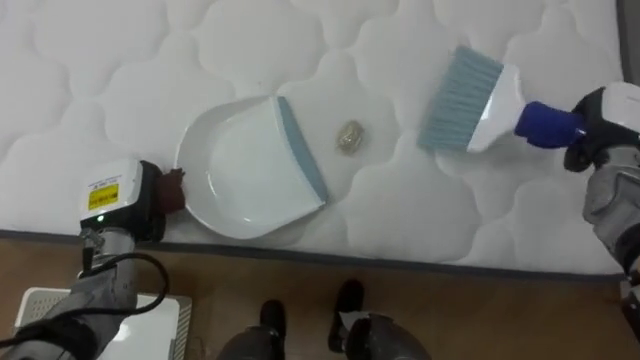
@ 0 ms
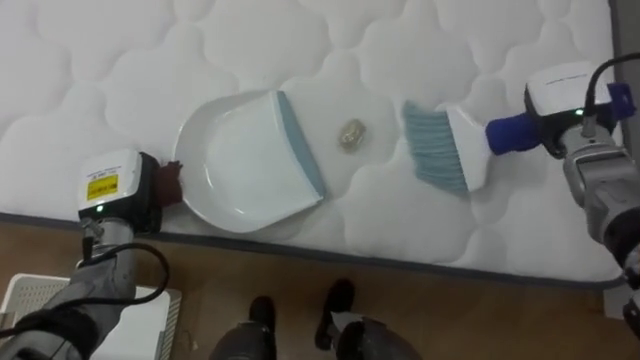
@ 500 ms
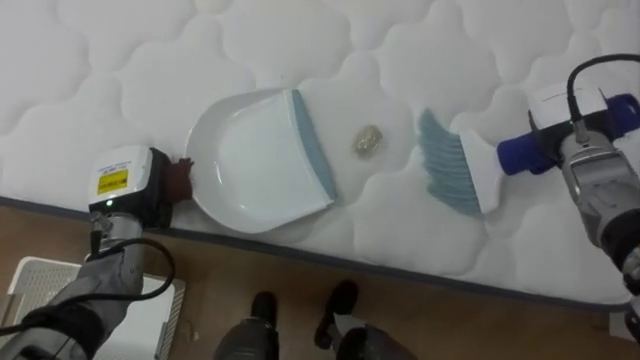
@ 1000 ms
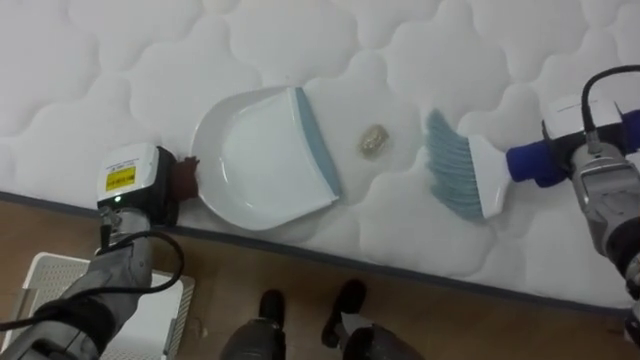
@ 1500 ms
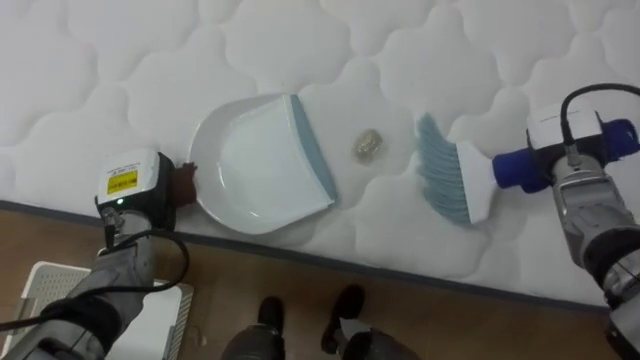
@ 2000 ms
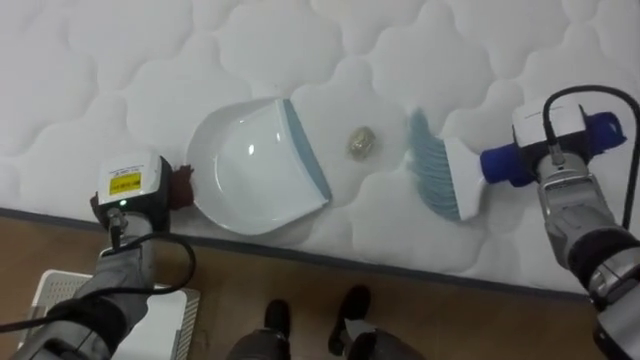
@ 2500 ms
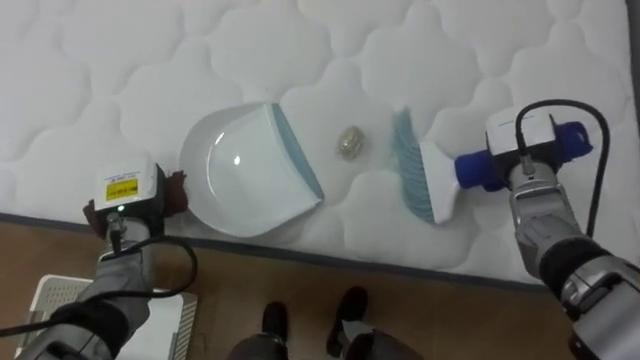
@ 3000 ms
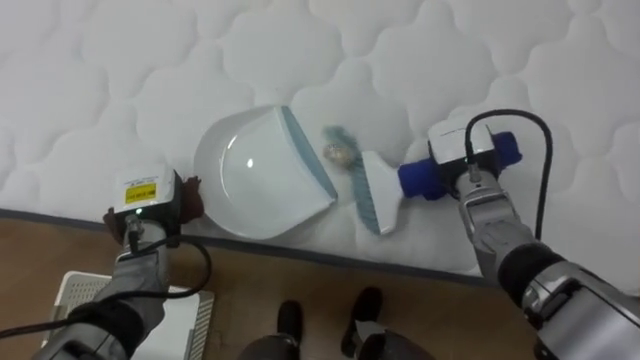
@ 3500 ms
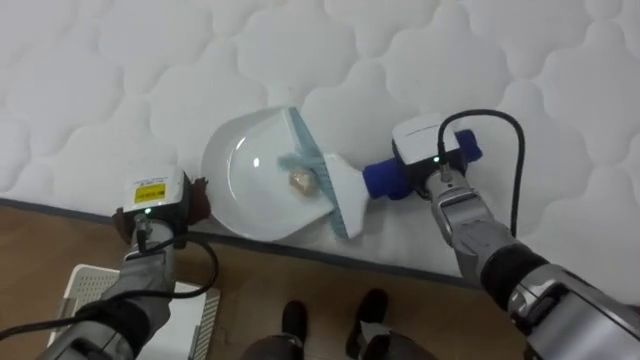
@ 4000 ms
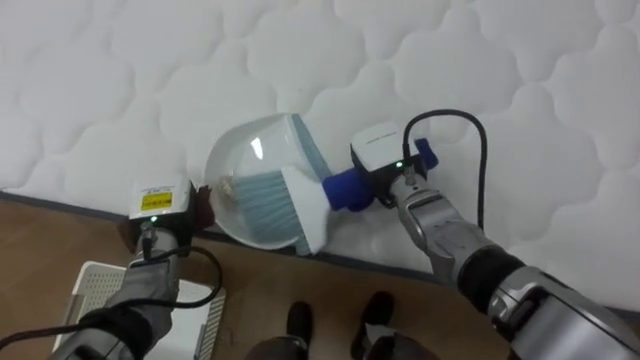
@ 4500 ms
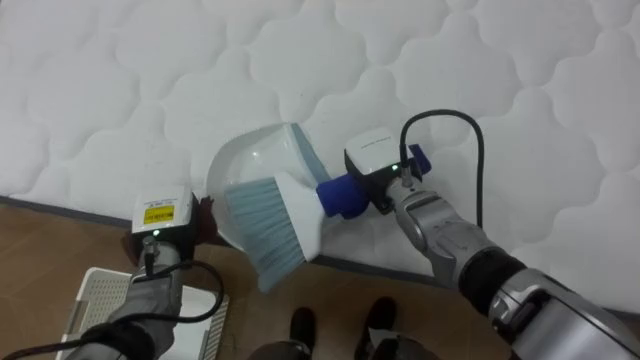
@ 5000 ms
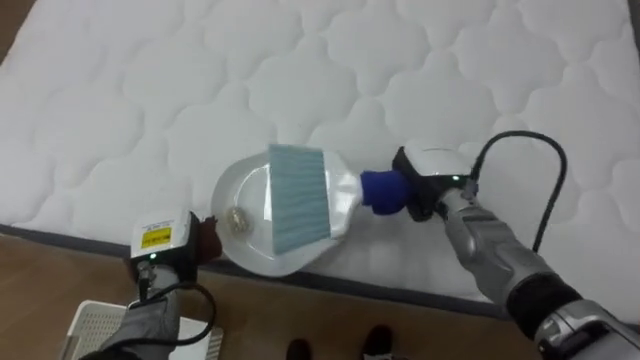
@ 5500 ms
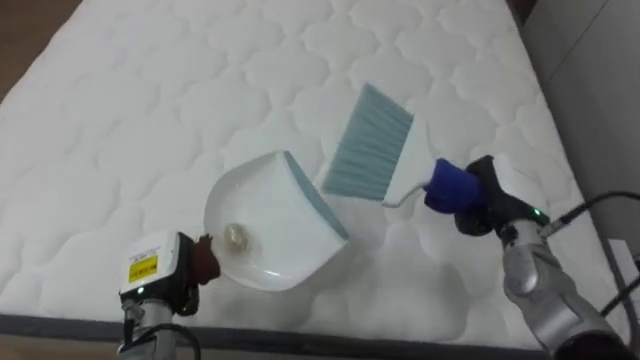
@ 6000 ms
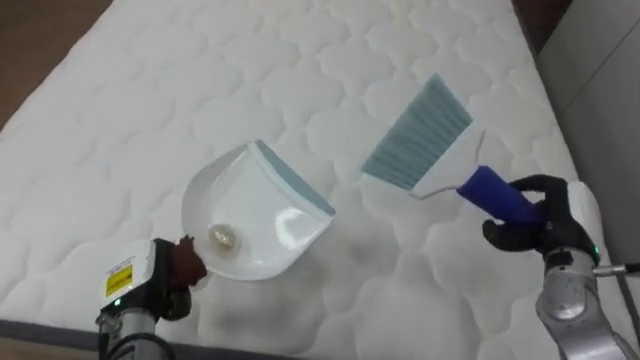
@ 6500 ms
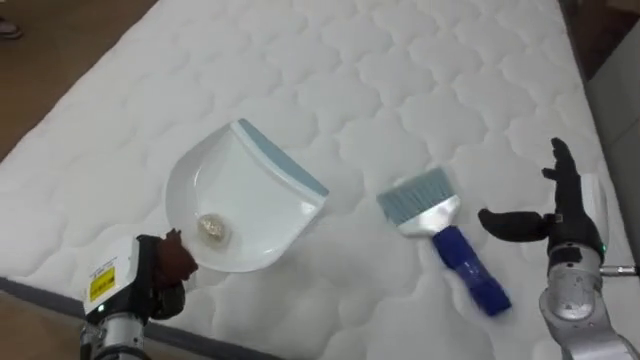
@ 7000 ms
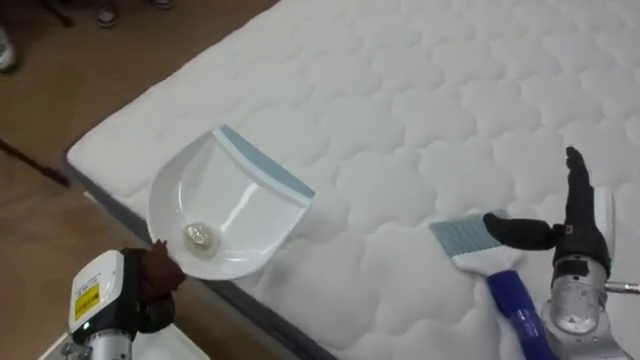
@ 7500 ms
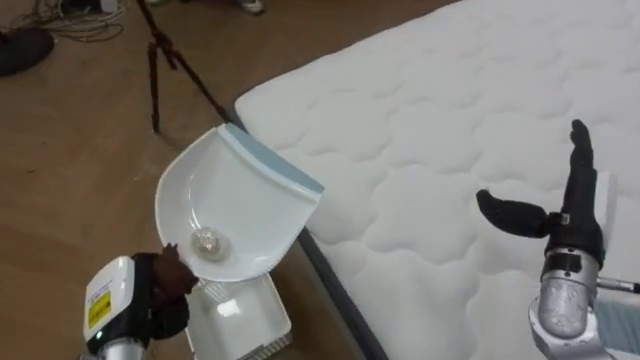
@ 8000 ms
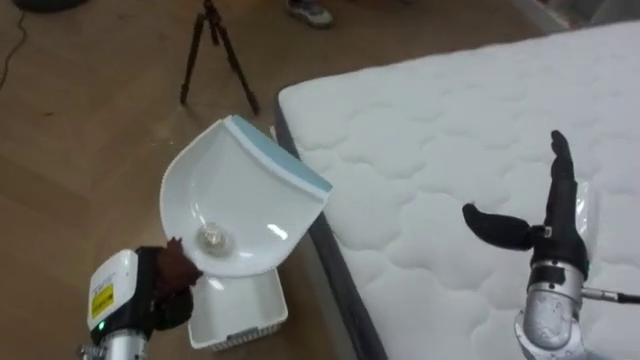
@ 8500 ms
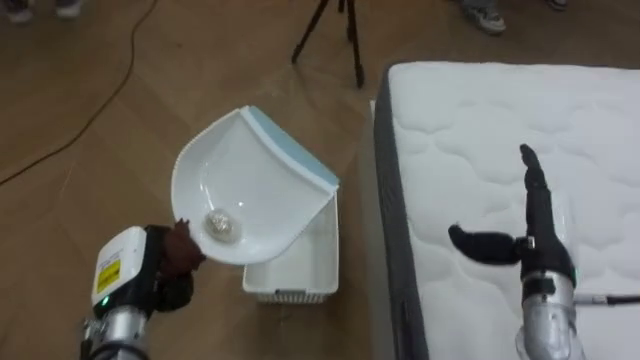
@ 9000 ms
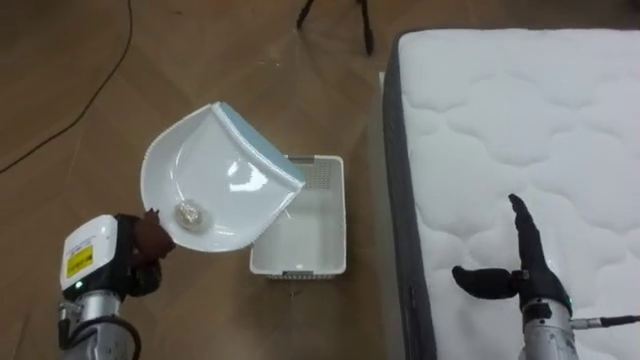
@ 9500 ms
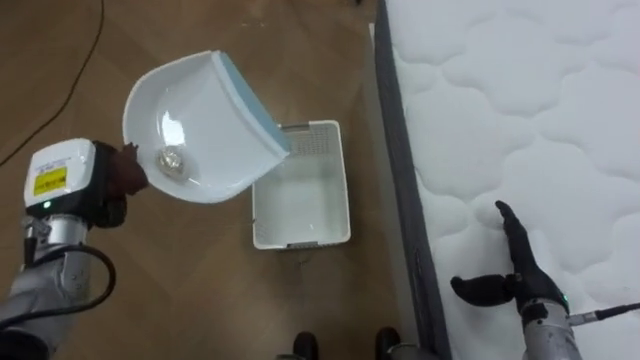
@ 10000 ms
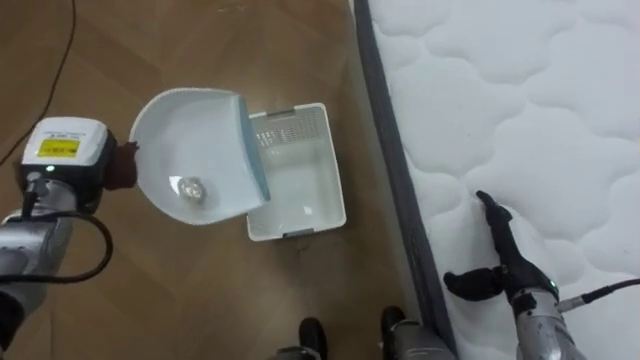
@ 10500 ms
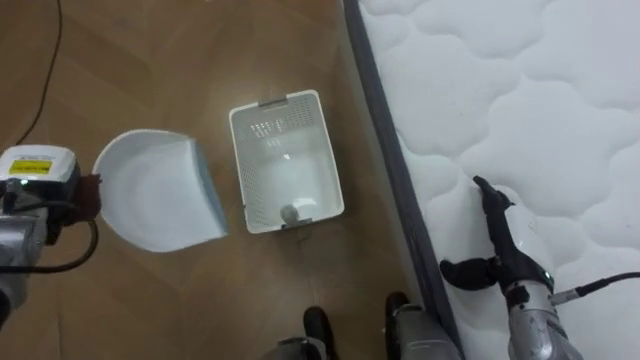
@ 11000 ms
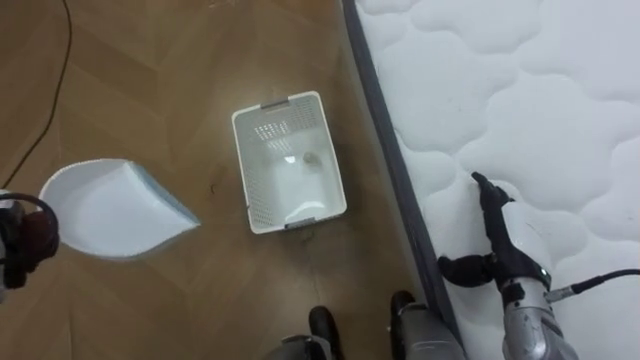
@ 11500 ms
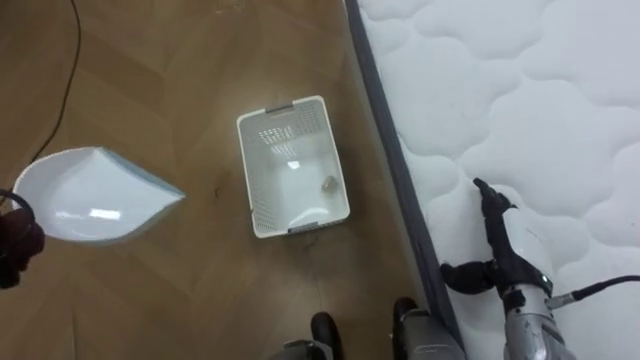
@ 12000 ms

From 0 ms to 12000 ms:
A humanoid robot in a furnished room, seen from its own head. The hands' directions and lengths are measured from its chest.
Task of the whole recording: Pick up the brush on your right and the dustpan on your left. Use the brush to sweep the crumpled paper on the bed into the dustpan, then turn left and empty it into the basket.
From 0 ms to 2000 ms: The right hand moves to the left, approximately 5 cm.
From 2000 ms to 4000 ms: The right hand moves to the left, approximately 20 cm.
From 4000 ms to 6000 ms: The right hand shifts some 15 cm to the right and backward. Meanwhile the left hand is displaced backward by roughly 10 cm.
From 6000 ms to 8000 ms: The robot turns to its left by about 55 degrees. The right hand travels backward and to the right by about 10 cm, and opens up. The left hand travels backward by about 5 cm.
From 8000 ms to 10000 ms: The robot rotates some 35 degrees to its left. The right hand is displaced downward by about 10 cm; the left hand shifts approximately 15 cm forward, upward and to the left.

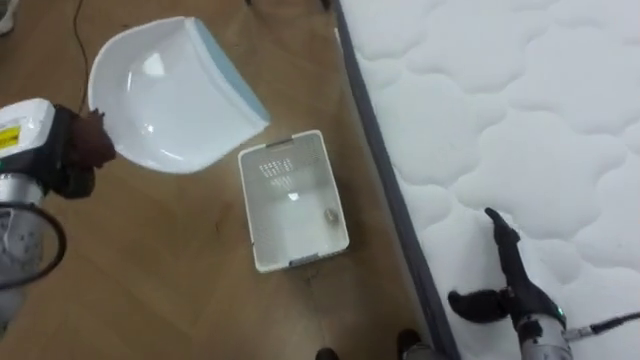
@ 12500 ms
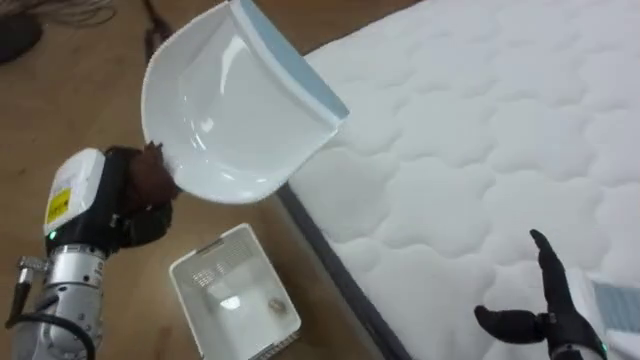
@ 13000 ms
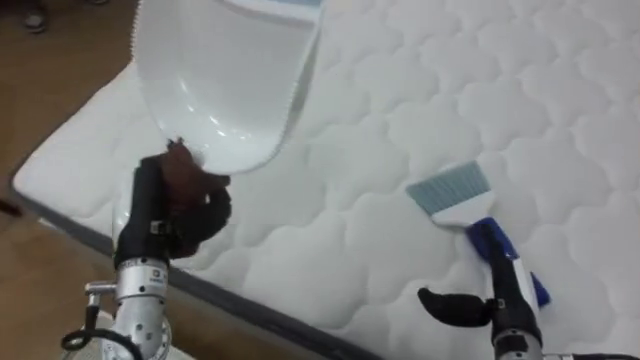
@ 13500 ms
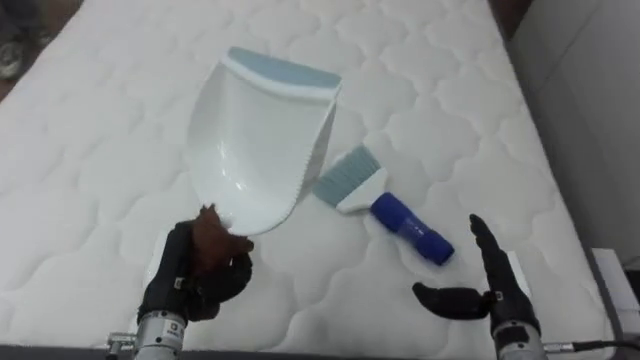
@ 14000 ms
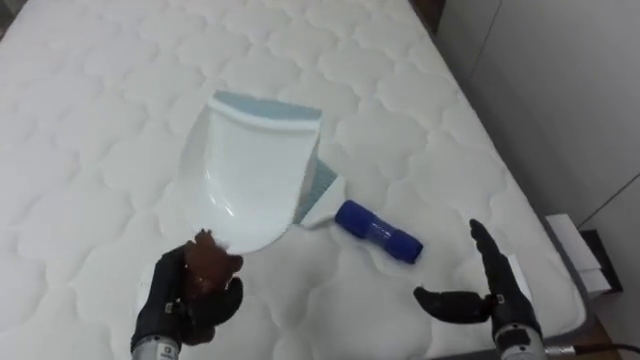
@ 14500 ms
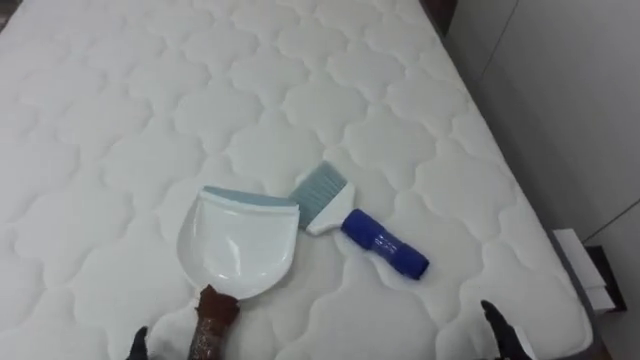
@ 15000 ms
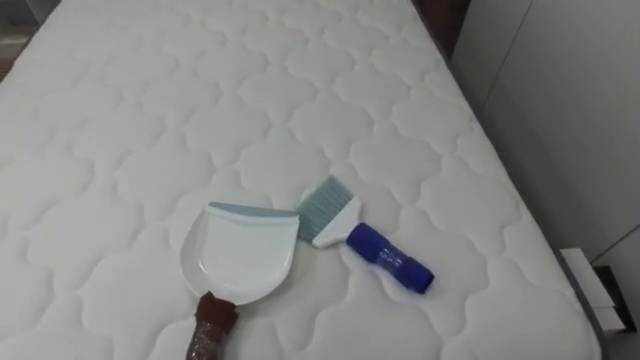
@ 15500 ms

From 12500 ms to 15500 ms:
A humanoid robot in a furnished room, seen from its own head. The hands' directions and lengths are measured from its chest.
Task of the whole recording: Pick up the brush on your right and the dustpan on your left. Use the brush to sweep the crumpled paper on the bed into the dustpan, then turn left and empty it into the basket.
From 12500 ms to 14000 ms: The robot turns to its right by approximately 80 degrees. The left hand goes roughly 20 cm to the right, backward and downward.

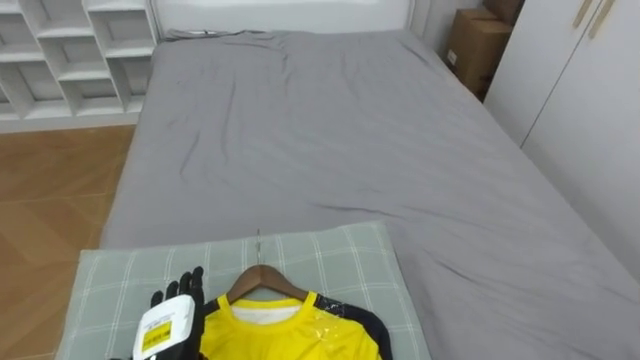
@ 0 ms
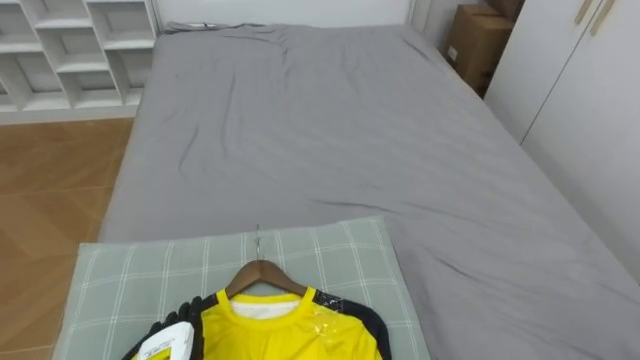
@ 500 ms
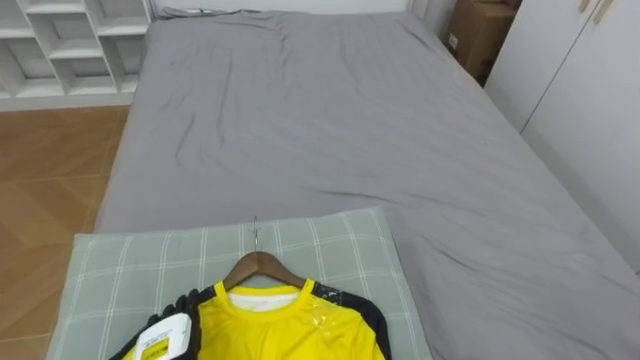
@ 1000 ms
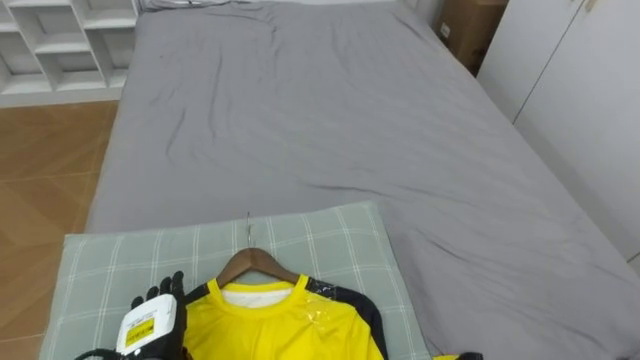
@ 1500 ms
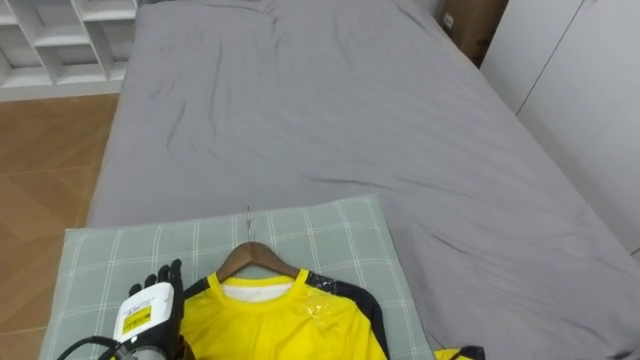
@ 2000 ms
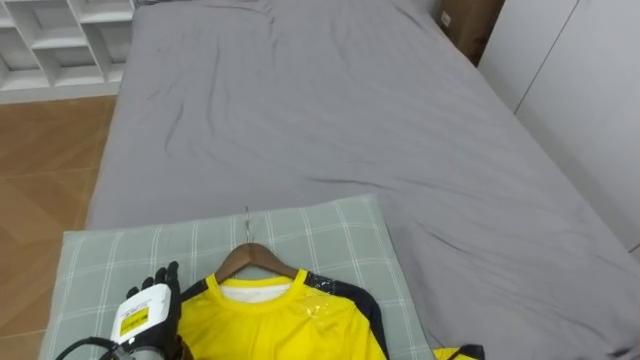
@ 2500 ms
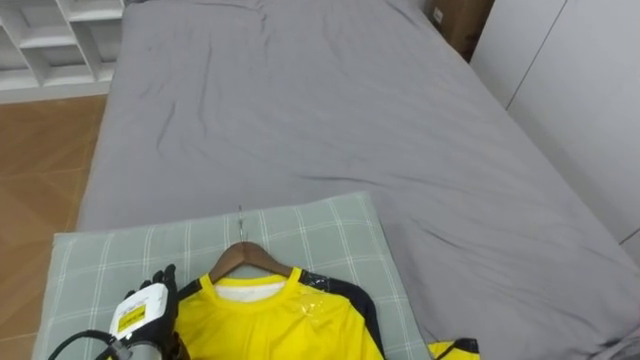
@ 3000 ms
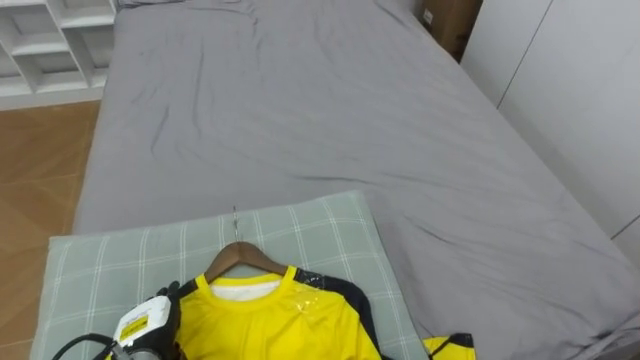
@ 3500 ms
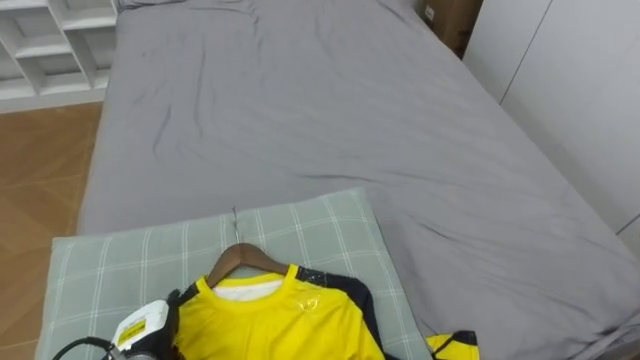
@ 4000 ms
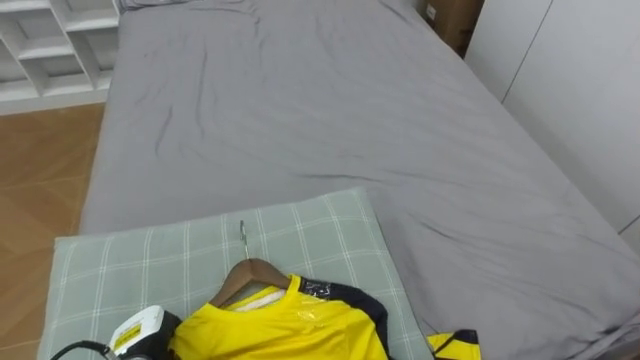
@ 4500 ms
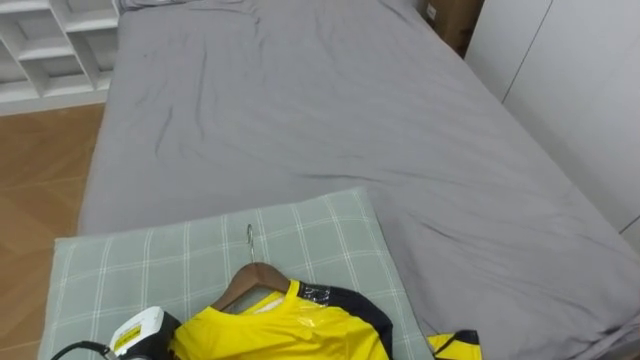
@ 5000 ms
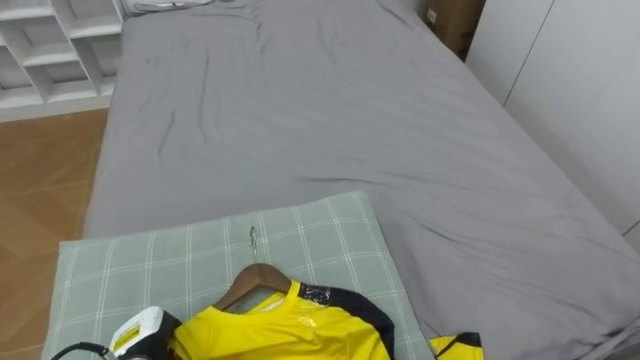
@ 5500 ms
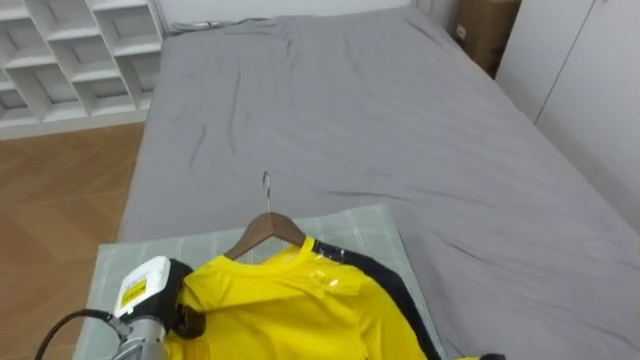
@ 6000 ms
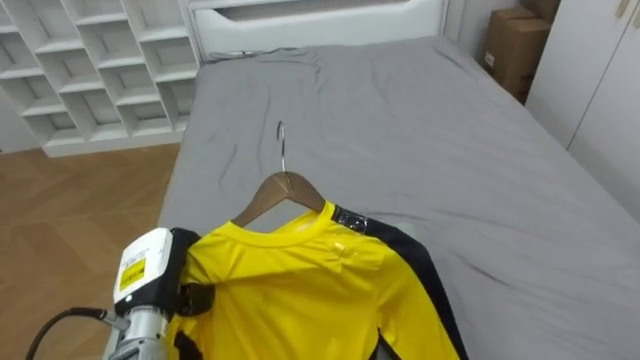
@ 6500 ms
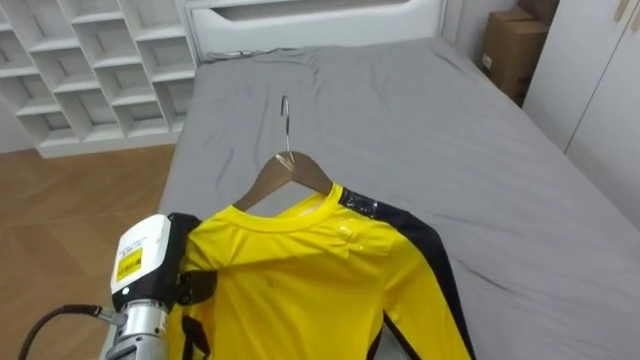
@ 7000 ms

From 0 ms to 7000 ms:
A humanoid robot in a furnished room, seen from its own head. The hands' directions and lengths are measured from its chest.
Task of the whole recording: Pick up the yellow shirt on the bed and hang it on the clothes rack on the right.
From 3500 ms to 5000 ms: The left hand closes.
From 5000 ms to 7000 ms: The left hand moves upward, about 15 cm.
